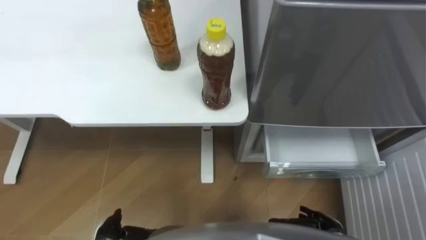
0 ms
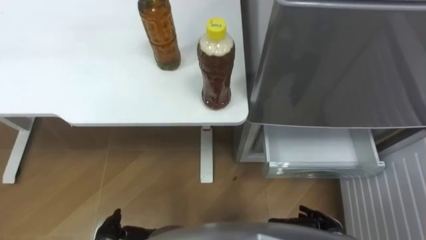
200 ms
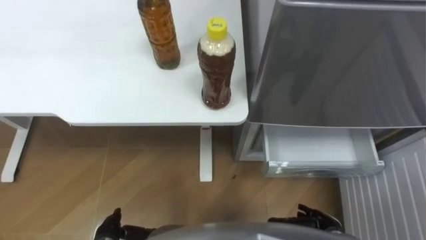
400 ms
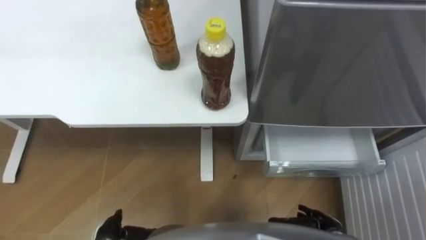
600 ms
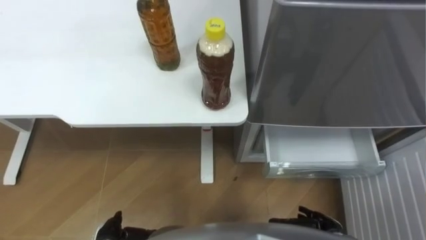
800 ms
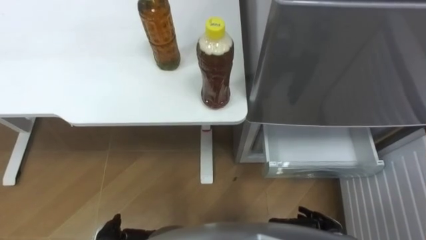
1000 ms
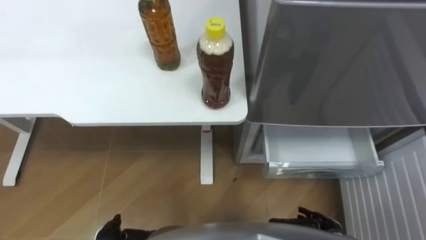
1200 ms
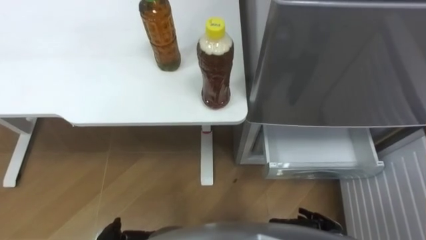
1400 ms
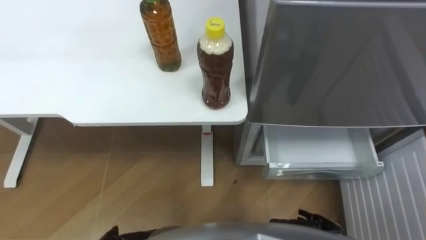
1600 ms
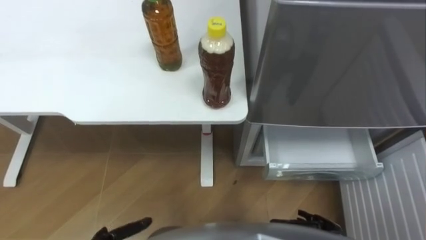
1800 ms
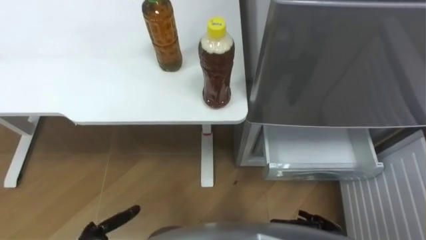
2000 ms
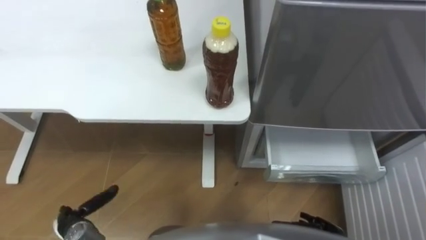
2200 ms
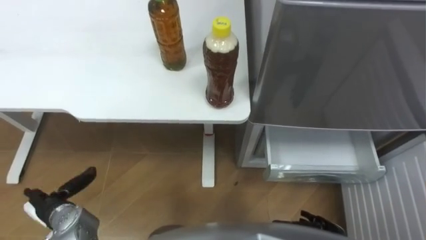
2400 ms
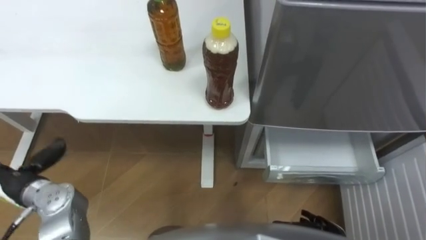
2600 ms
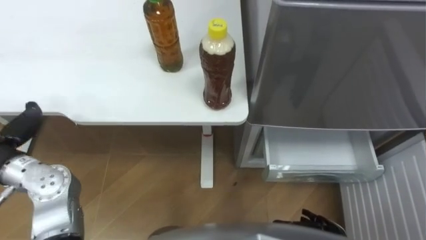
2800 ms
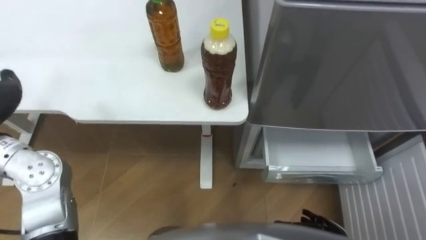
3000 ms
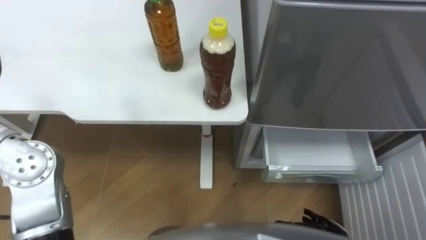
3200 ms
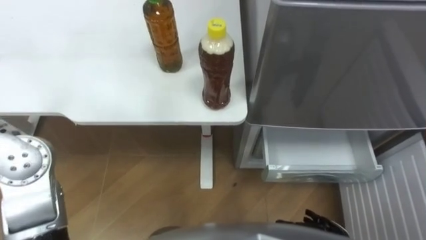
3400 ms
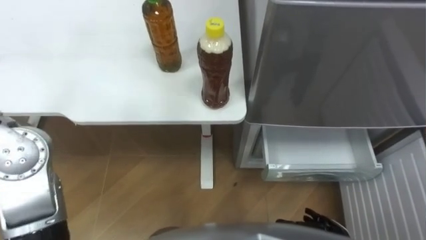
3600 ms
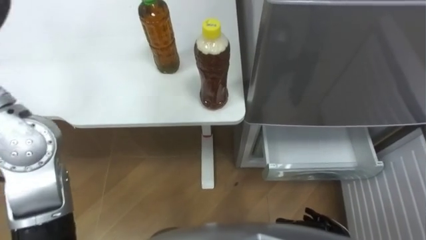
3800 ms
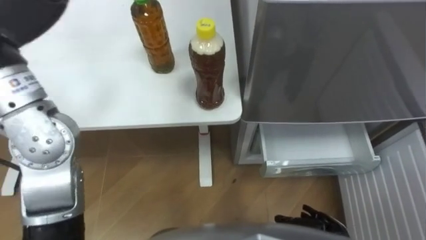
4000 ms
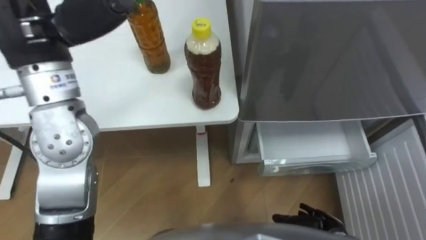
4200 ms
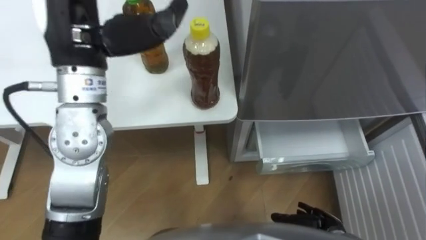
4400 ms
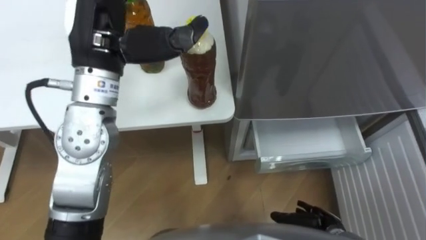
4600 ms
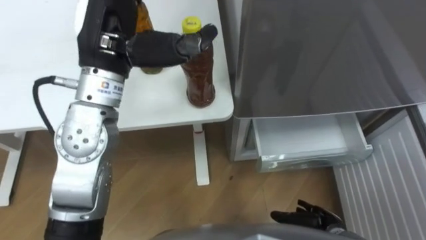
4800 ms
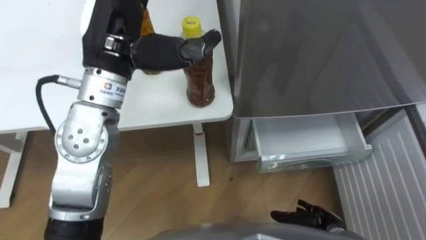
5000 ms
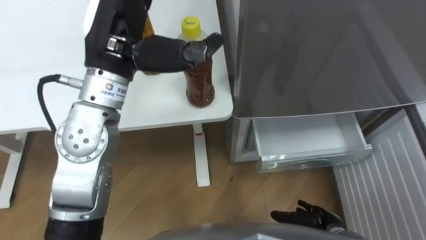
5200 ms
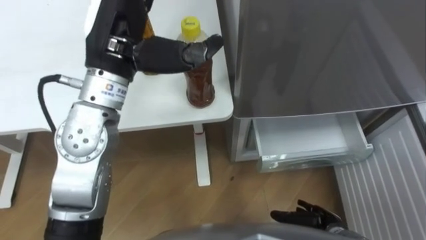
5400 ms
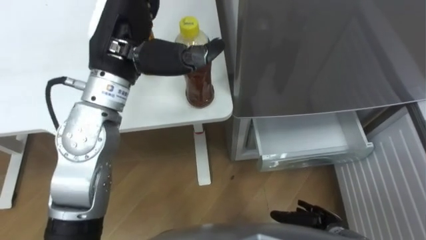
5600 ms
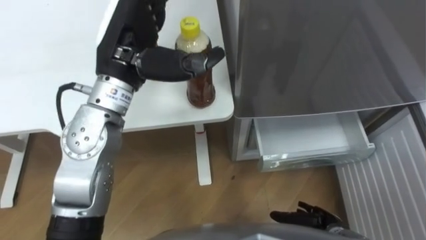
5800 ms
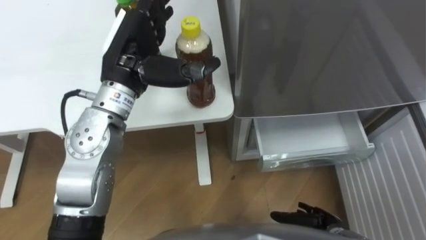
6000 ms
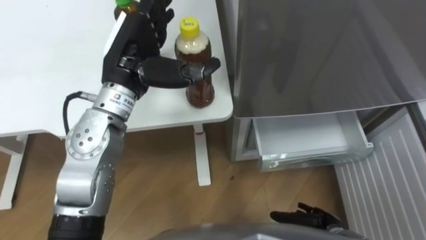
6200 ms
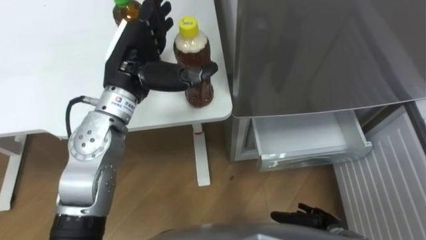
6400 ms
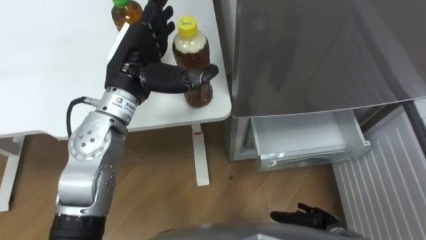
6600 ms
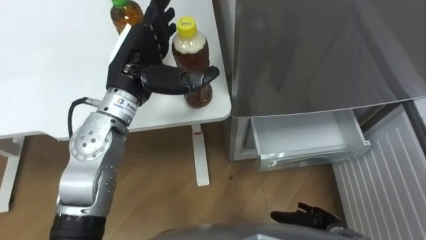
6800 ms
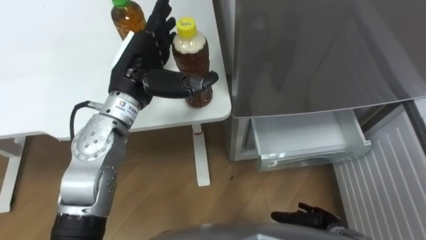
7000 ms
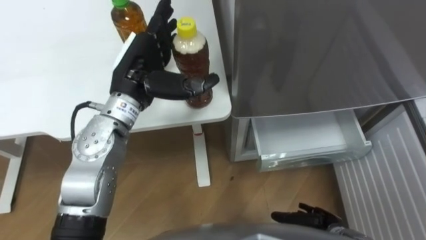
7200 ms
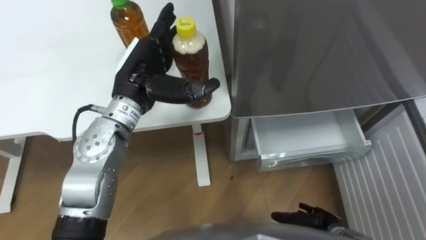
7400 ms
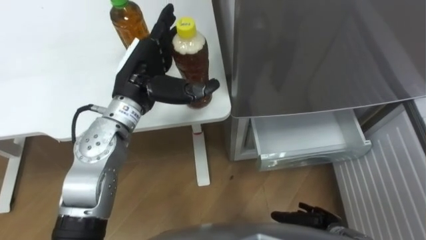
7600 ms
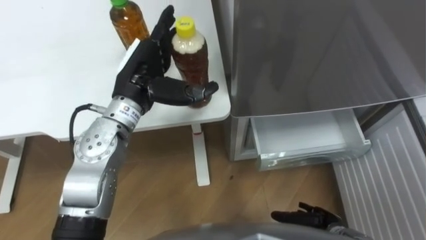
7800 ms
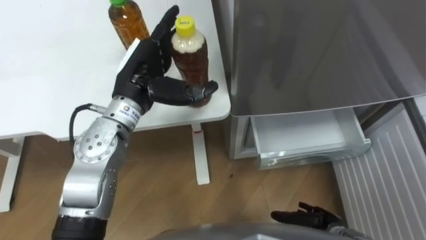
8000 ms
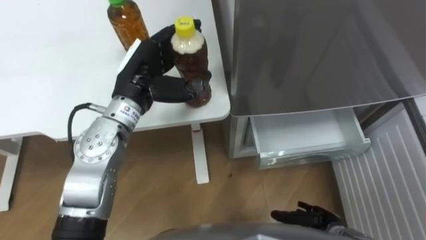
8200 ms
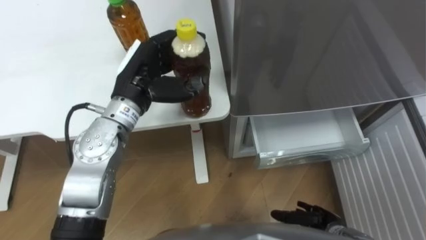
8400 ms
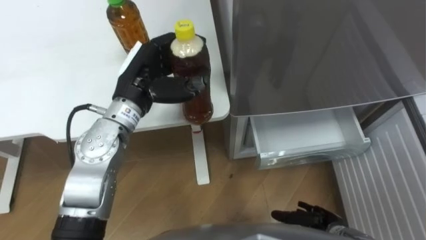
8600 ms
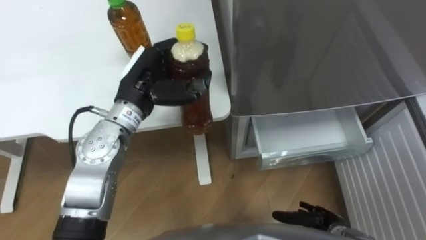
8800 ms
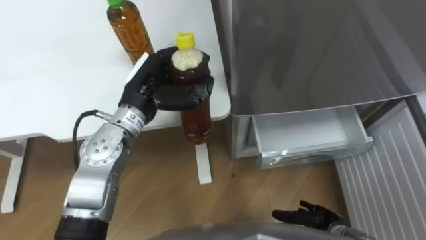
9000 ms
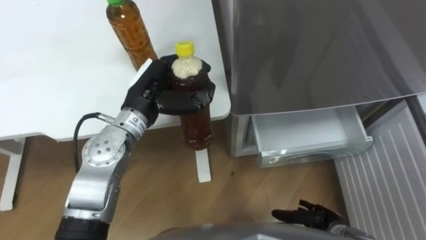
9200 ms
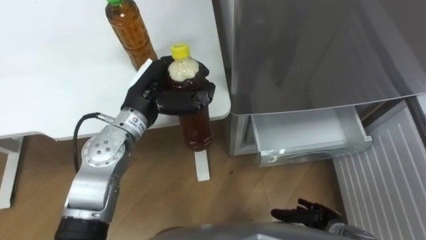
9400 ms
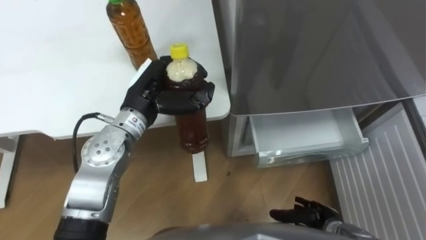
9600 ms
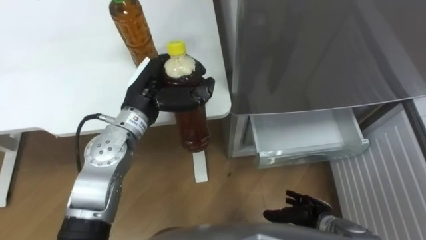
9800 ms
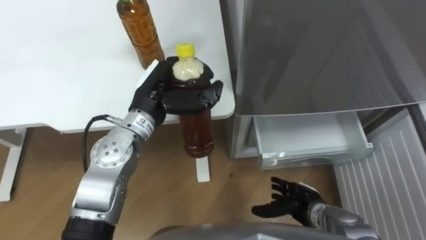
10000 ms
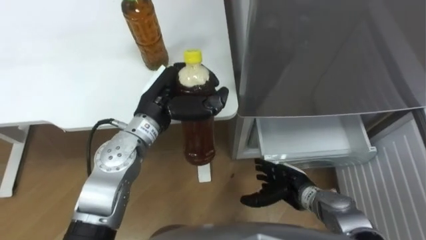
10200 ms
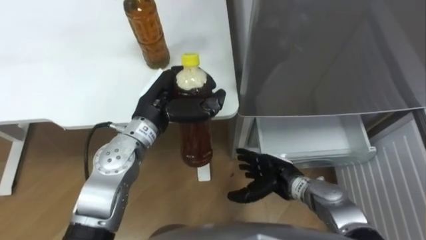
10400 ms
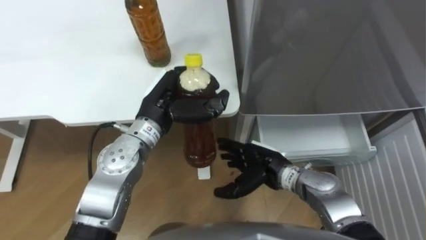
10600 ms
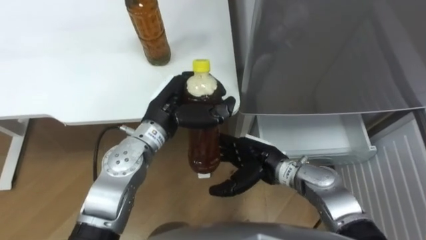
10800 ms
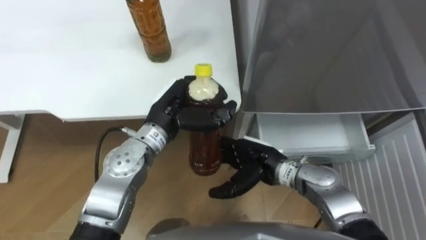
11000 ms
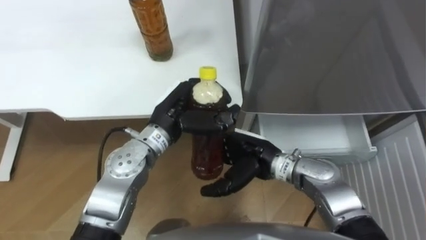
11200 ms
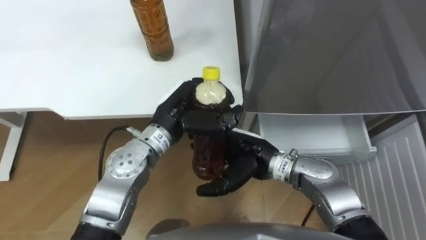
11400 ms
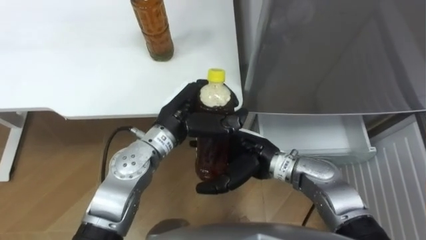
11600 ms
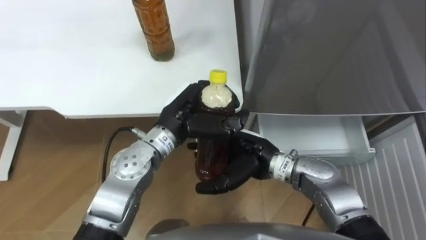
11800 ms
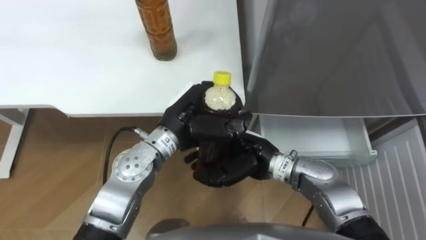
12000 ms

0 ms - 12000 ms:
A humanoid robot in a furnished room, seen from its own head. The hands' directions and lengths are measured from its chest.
Task of the whole recording: Place the drink on the table on the bottom shelf of the refrigerator, then close the drawer and the refrigerator door.
4400 ms - 6000 ms: The left hand heads downward, covering about 10 cm.
6000 ms - 7600 ms: The left hand travels downward by some 5 cm.
7600 ms - 9000 ms: The left hand closes its fingers.
9000 ms - 10400 ms: The right hand moves forward, to the left and upward, about 15 cm.
10400 ms - 12000 ms: The right hand goes about 10 cm upward and to the left. Meanwhile the left hand shifts by some 5 cm.

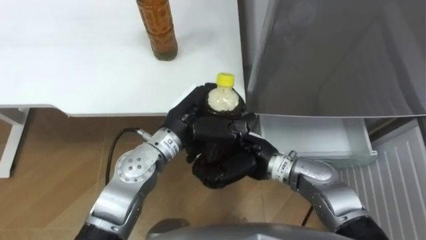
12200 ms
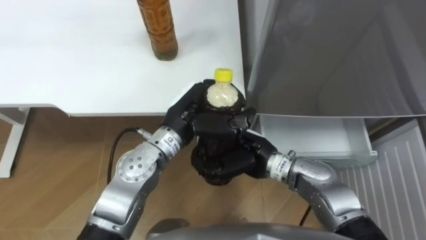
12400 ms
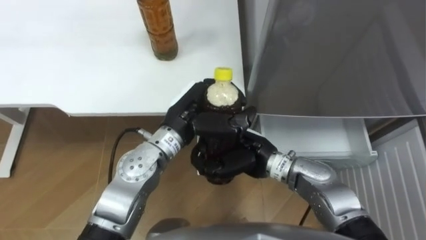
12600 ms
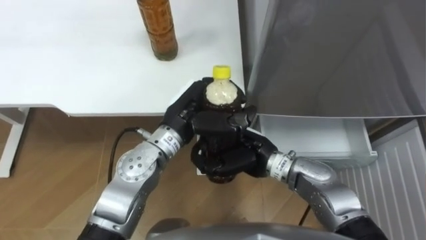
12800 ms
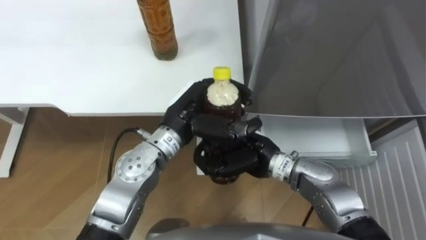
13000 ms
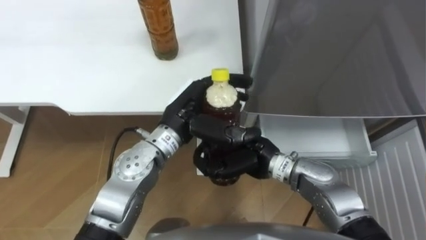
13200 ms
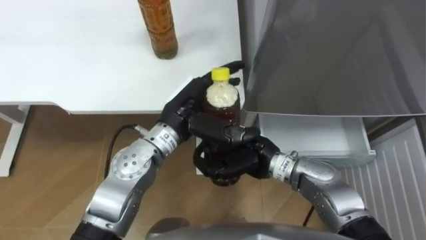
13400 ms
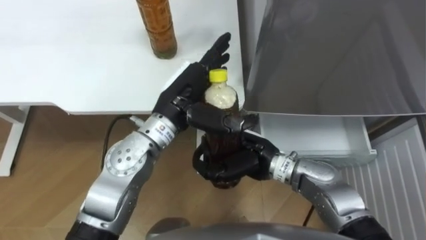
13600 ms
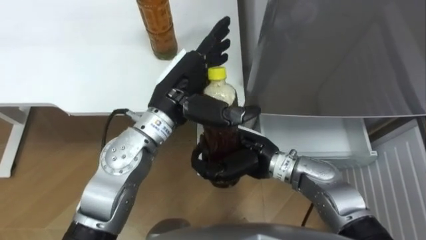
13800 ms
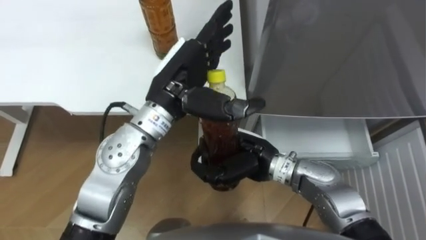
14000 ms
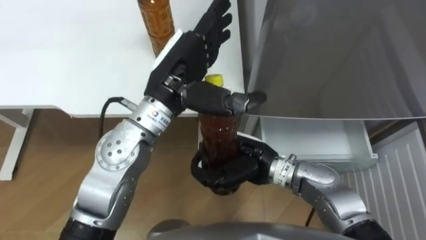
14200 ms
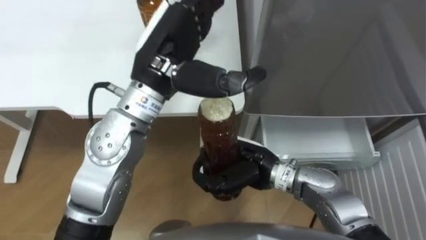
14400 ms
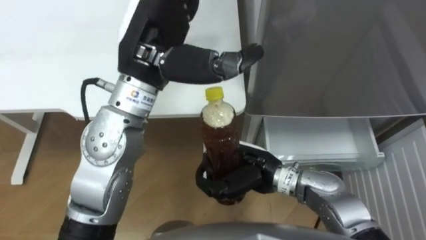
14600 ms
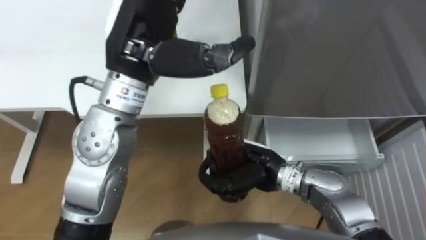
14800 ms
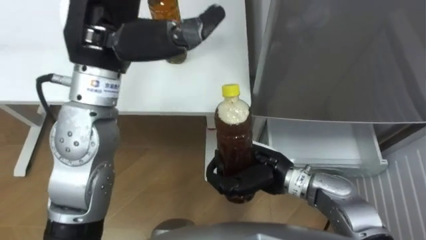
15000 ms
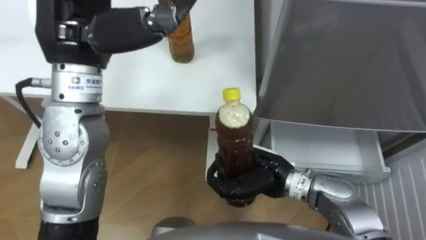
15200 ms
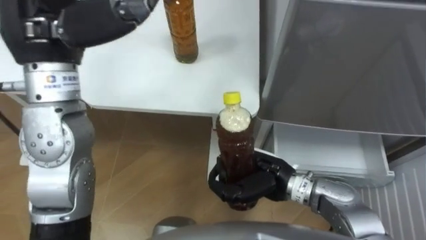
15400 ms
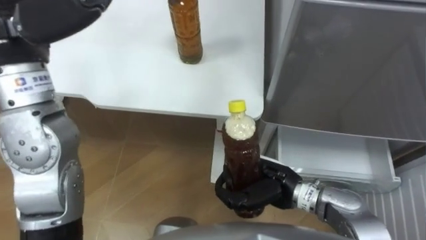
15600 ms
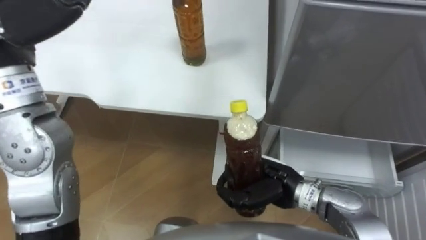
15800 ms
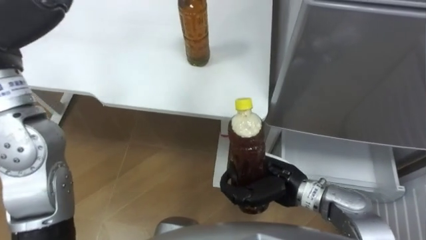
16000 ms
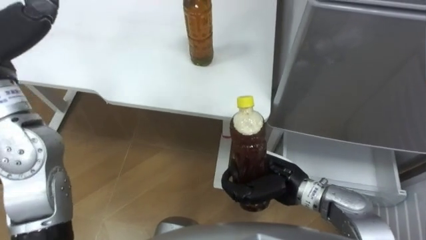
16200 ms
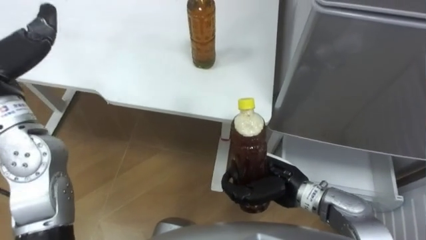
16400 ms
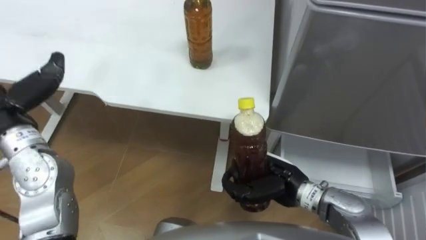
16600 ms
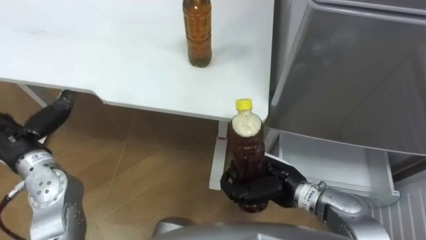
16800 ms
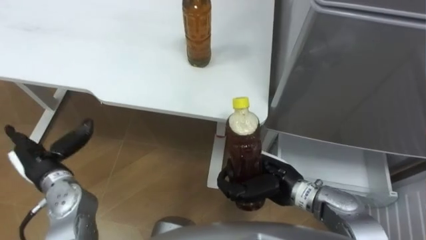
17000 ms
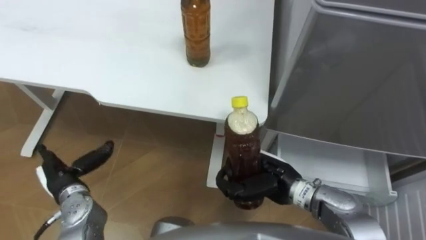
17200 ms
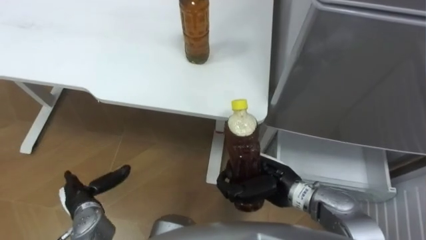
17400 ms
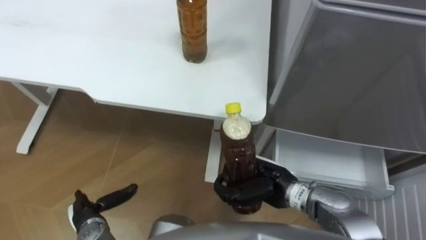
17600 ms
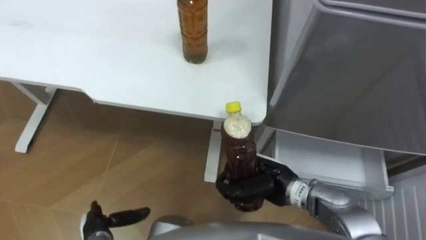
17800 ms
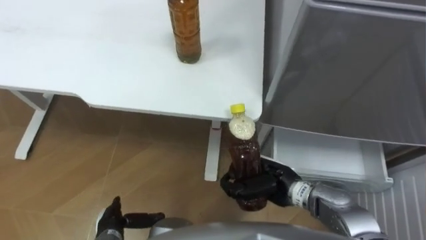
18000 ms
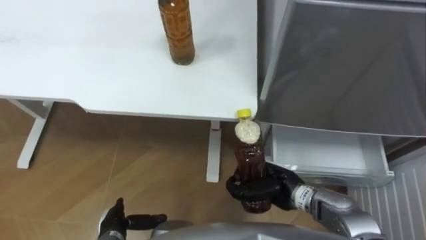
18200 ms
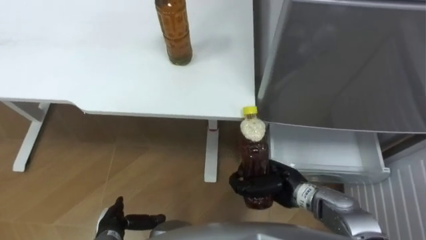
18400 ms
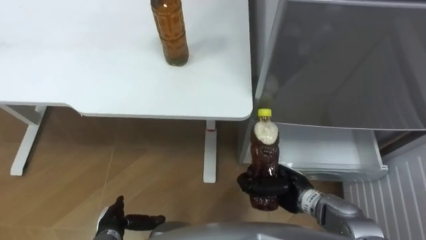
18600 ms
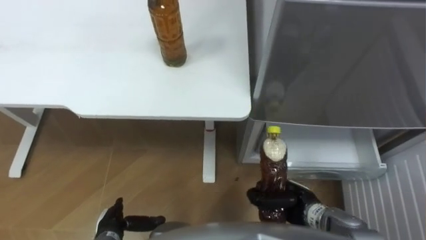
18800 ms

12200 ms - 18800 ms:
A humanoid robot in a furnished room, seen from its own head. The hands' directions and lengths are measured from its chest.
Task of the whole recording: Place the drink on the table on the bottom shelf of the refrigerator, then close the drawer and the refrigerator door.
12200 ms - 13800 ms: The left hand travels upward by about 5 cm, and opens.
13800 ms - 15400 ms: The right hand ends up approximately 5 cm from where it was, while the left hand heads upward and to the left, covering about 20 cm.
17200 ms - 18800 ms: The right hand shifts about 10 cm downward and to the right; the left hand moves downward, backward and to the right, roughly 15 cm.
